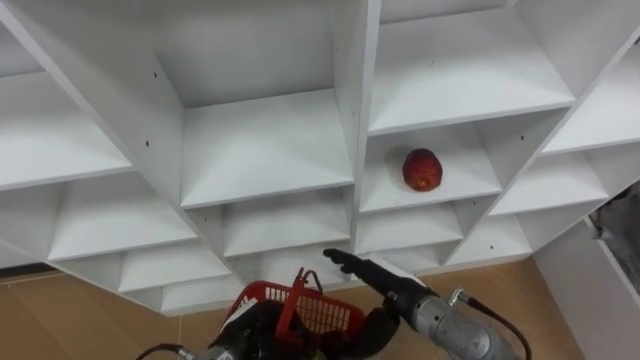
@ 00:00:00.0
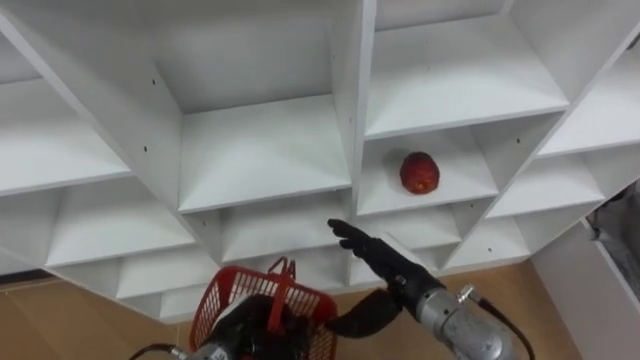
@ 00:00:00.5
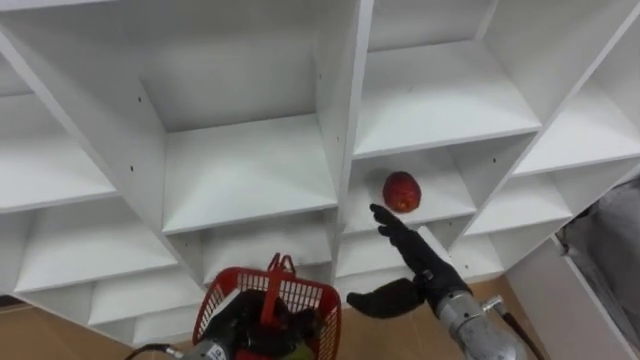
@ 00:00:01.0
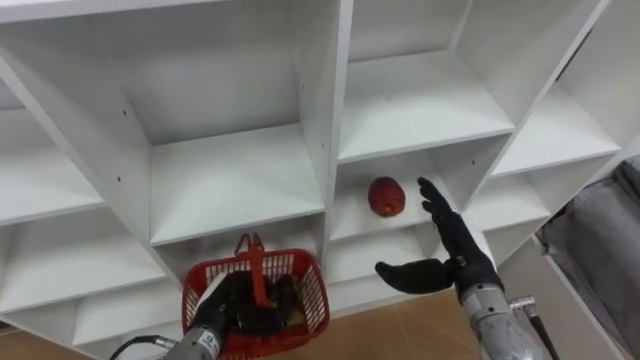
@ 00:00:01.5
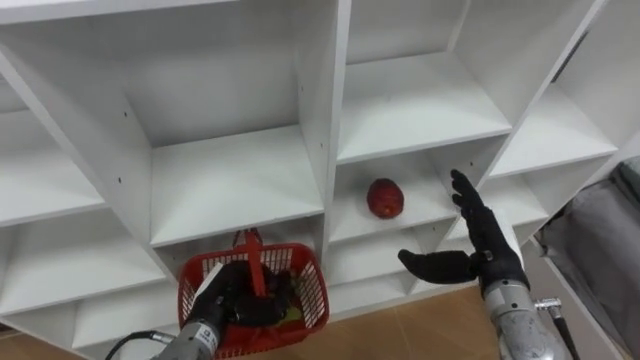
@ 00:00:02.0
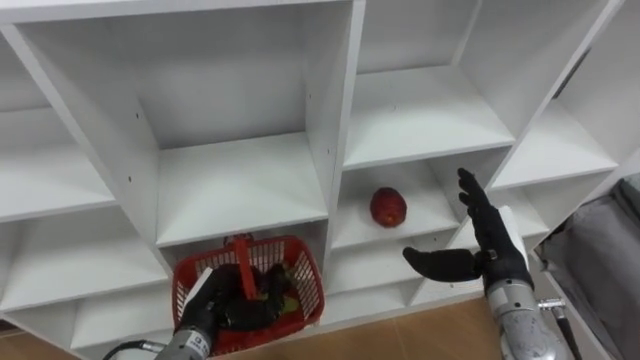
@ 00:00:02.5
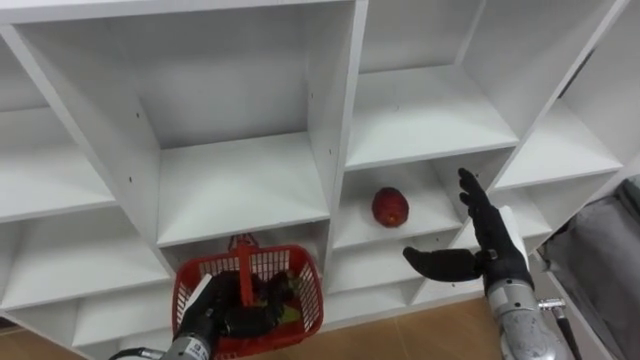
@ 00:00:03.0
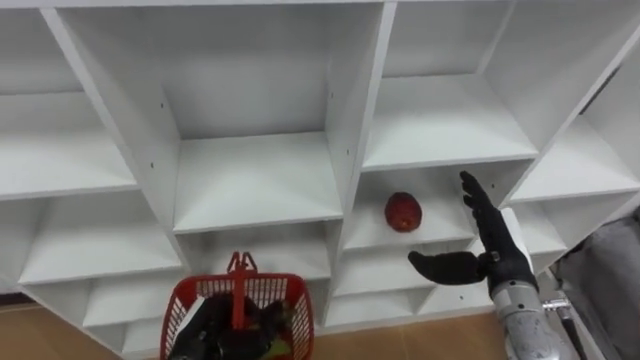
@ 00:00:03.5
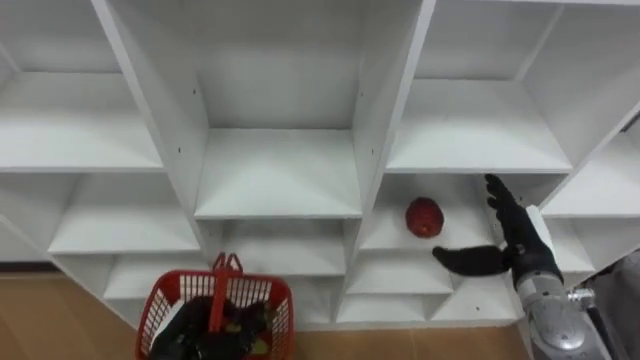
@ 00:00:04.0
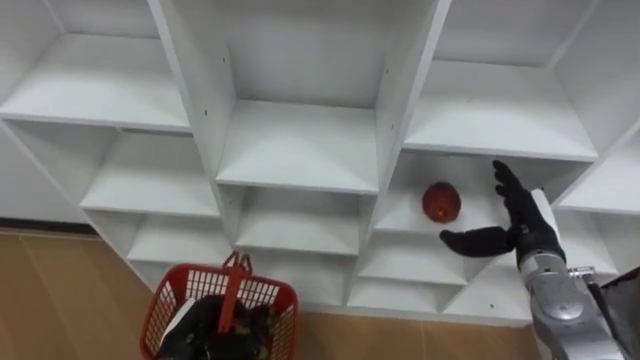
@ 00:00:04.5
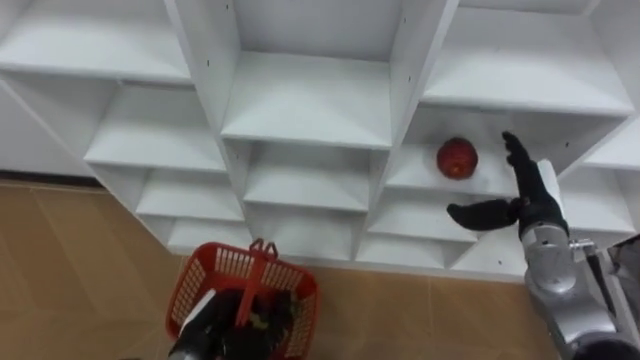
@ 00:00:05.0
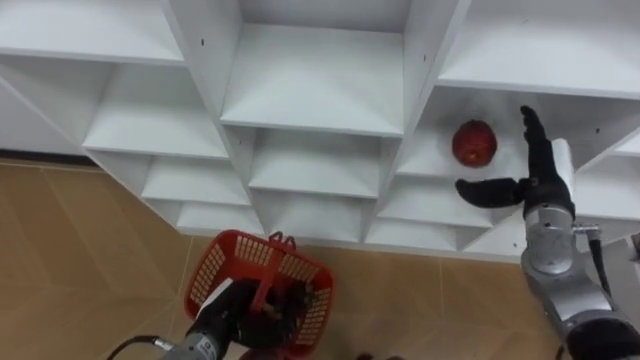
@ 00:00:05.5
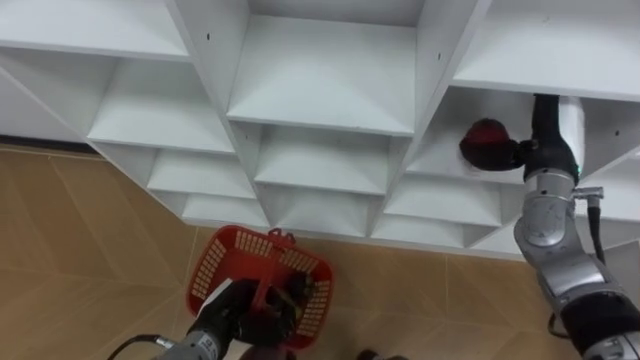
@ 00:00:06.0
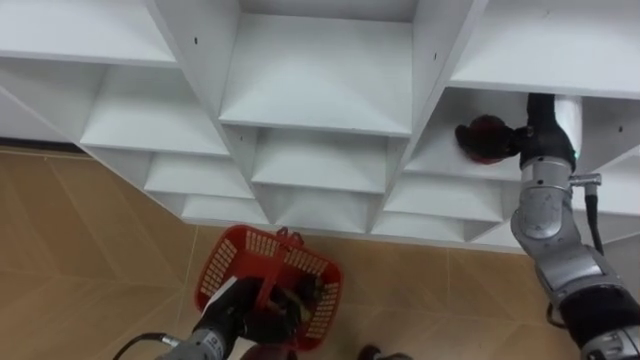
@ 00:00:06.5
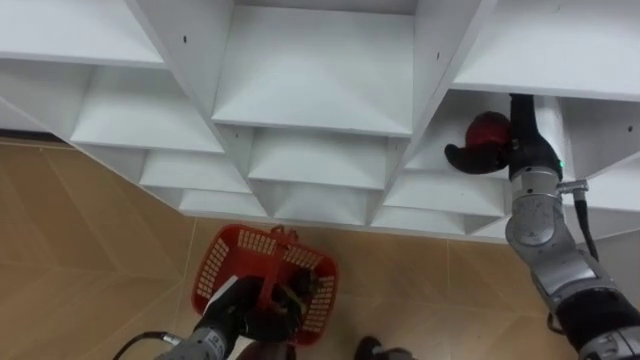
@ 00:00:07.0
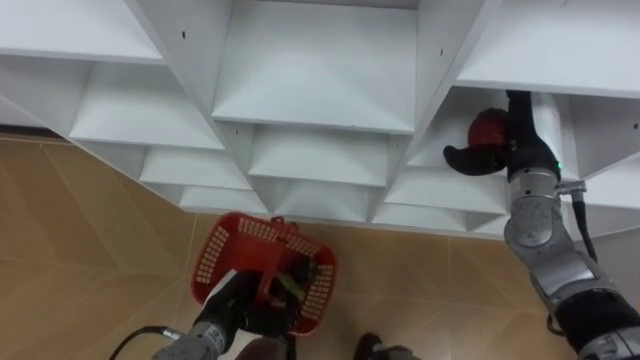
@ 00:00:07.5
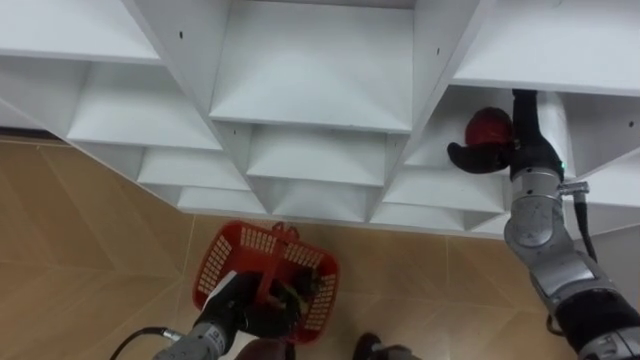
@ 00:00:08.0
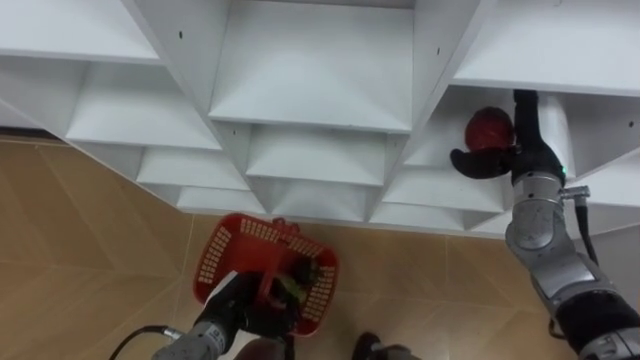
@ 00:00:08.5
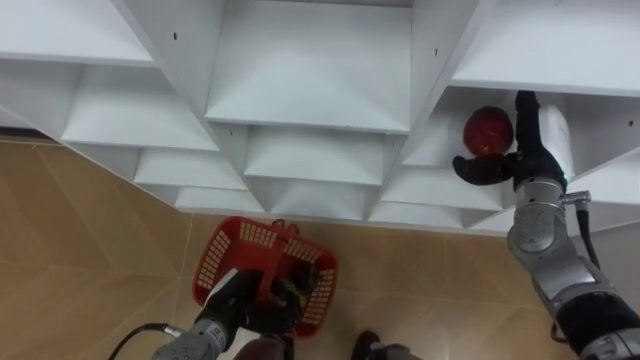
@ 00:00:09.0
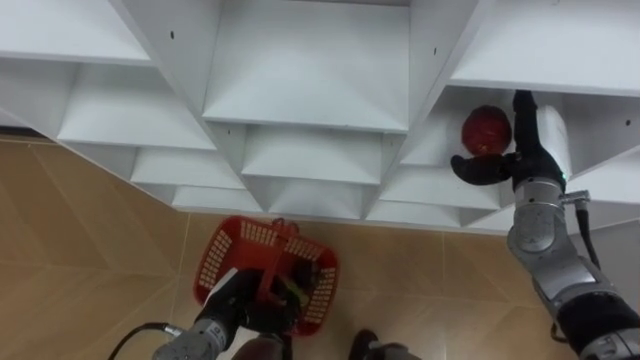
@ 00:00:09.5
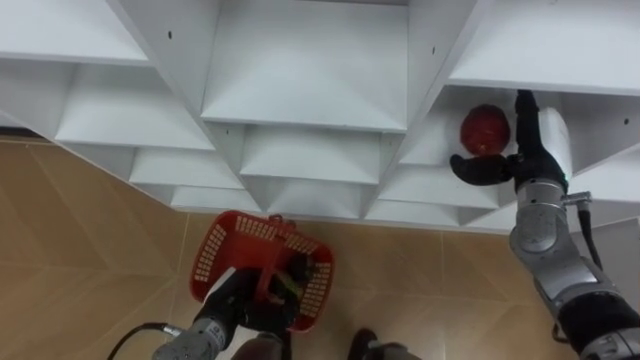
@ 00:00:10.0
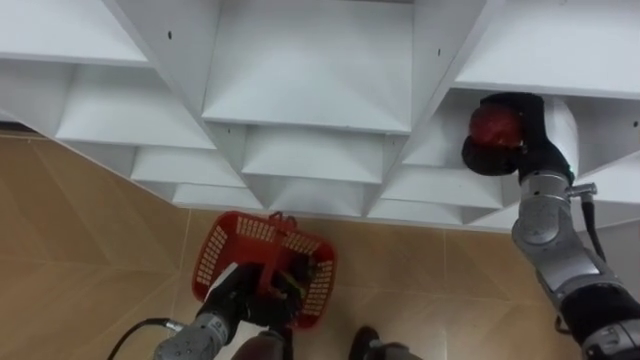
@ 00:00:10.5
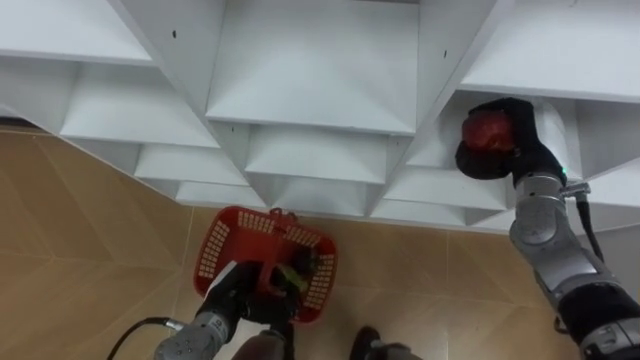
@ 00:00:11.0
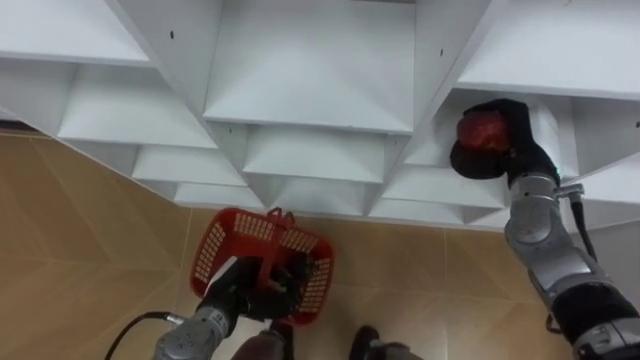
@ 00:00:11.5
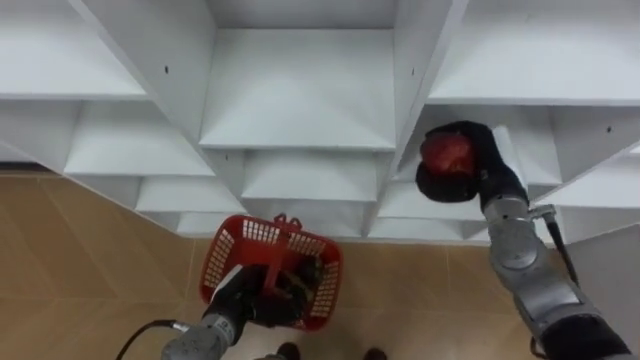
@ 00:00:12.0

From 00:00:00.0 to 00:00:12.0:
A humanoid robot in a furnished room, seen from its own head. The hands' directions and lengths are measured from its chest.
Task of the whole recording: Hold the basket and collect the fruits from 3 different cells of the closet into it.
From 00:00:00.0 to 00:00:02.0: The right hand heads to the right and upward, covering approximately 15 cm, while the left hand moves about 5 cm.
From 00:00:02.0 to 00:00:04.0: The left hand is displaced backward by approximately 5 cm.
From 00:00:04.0 to 00:00:06.0: The left hand is displaced to the right by roughly 5 cm; the right hand is displaced upward and forward by about 15 cm.
From 00:00:08.0 to 00:00:10.0: The hands make only small movements.
From 00:00:10.0 to 00:00:12.0: The right hand changes place by roughly 5 cm, and closes up.

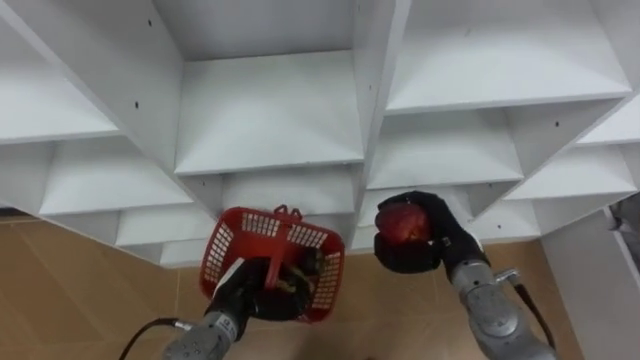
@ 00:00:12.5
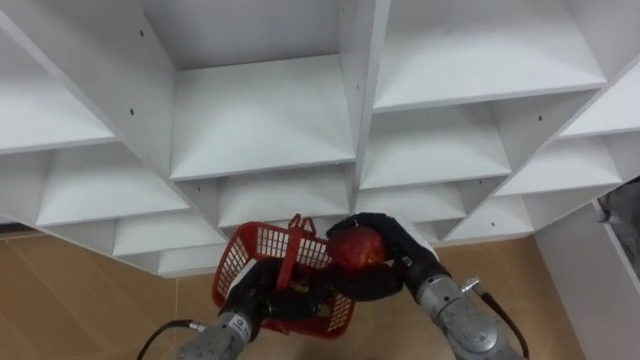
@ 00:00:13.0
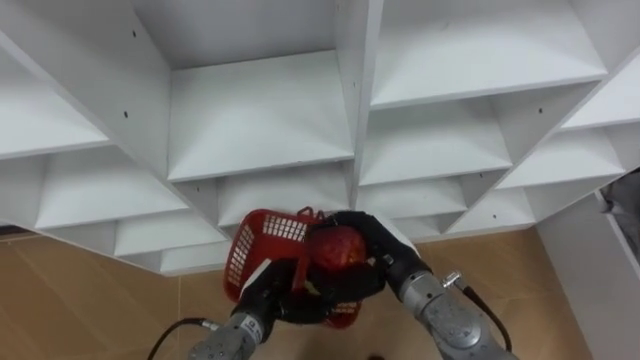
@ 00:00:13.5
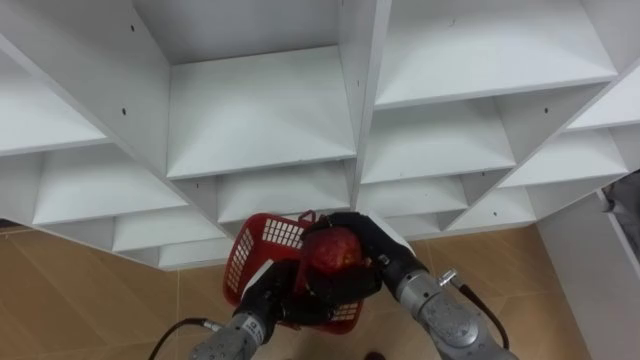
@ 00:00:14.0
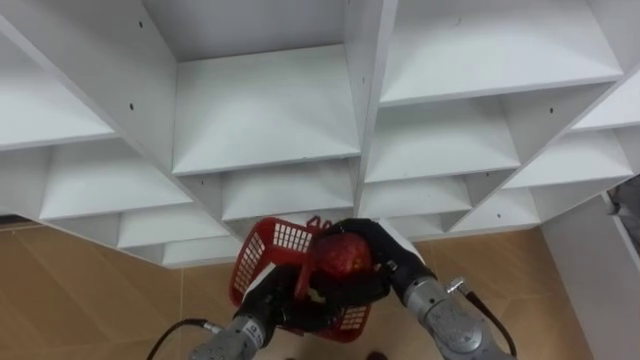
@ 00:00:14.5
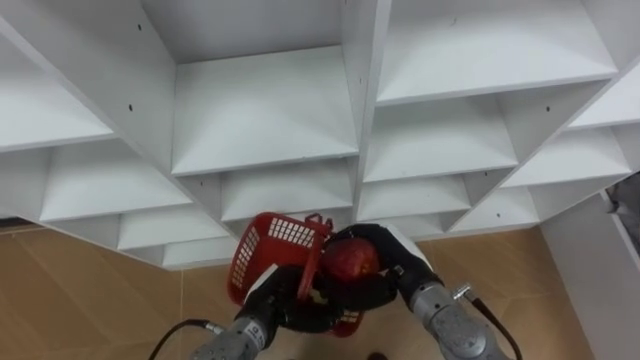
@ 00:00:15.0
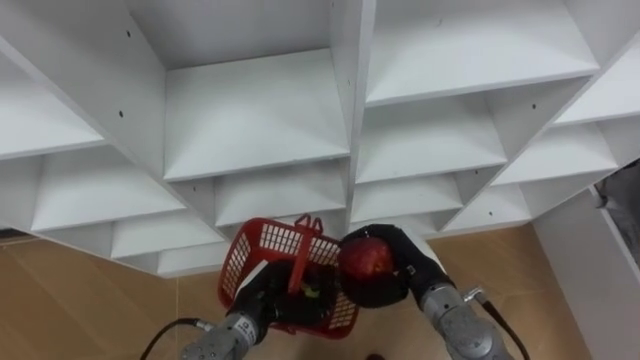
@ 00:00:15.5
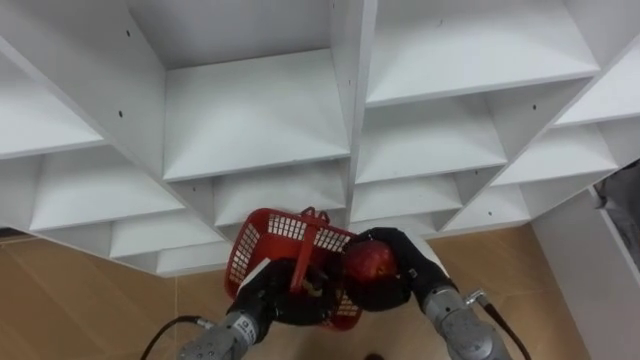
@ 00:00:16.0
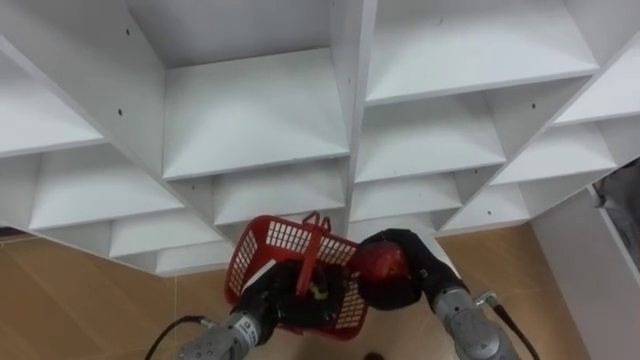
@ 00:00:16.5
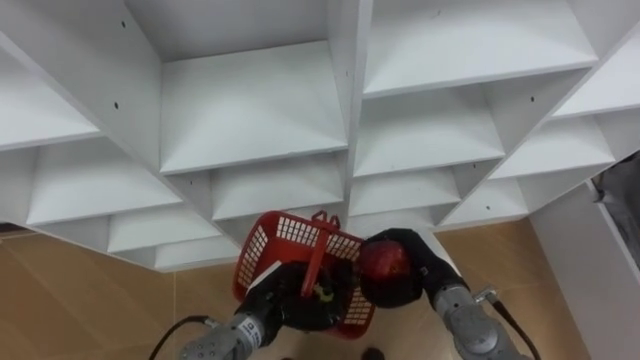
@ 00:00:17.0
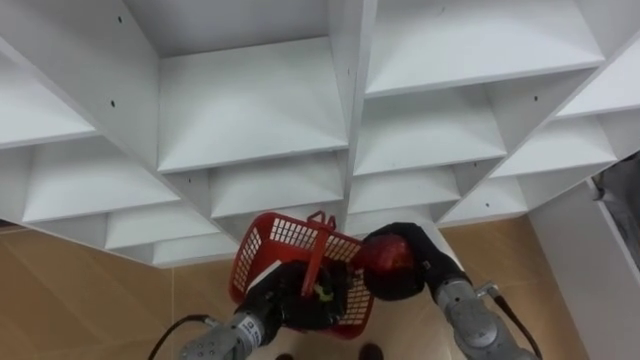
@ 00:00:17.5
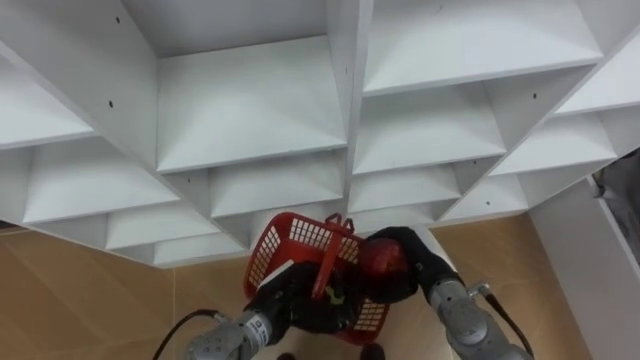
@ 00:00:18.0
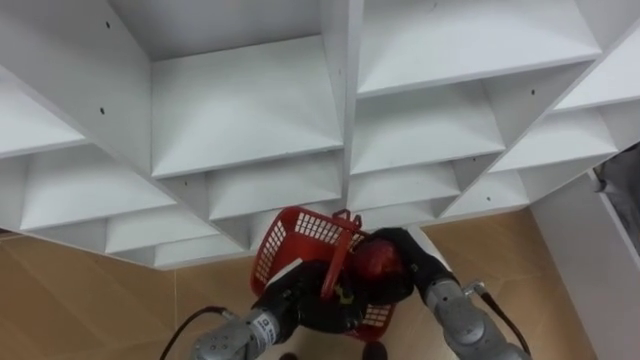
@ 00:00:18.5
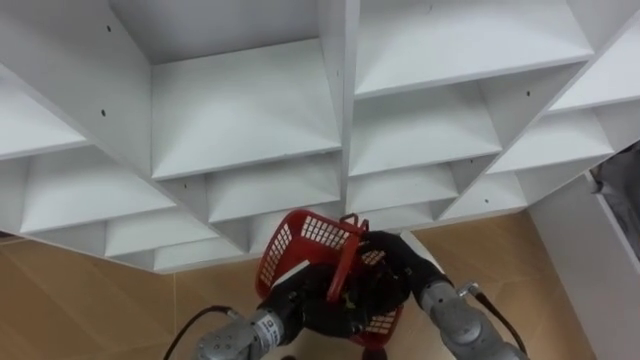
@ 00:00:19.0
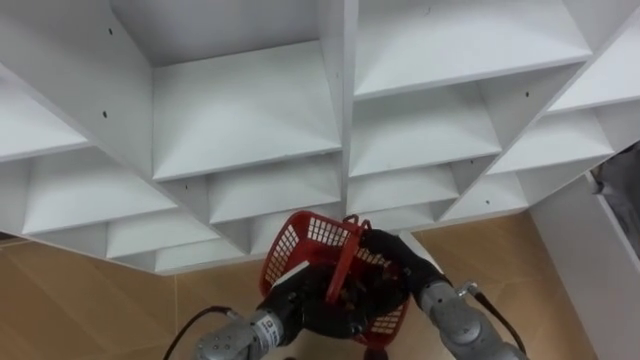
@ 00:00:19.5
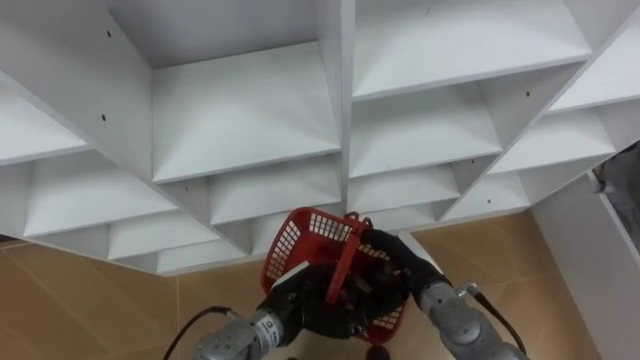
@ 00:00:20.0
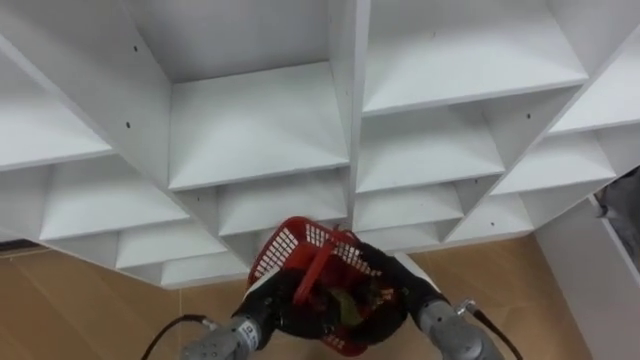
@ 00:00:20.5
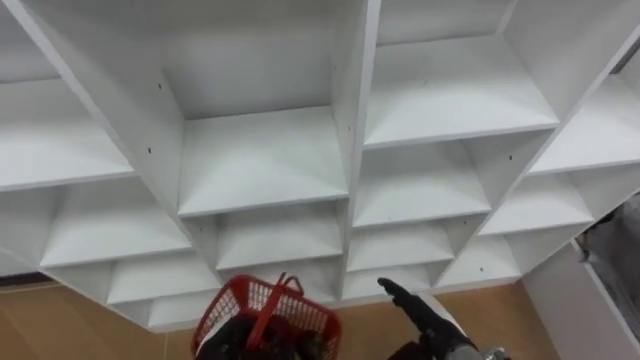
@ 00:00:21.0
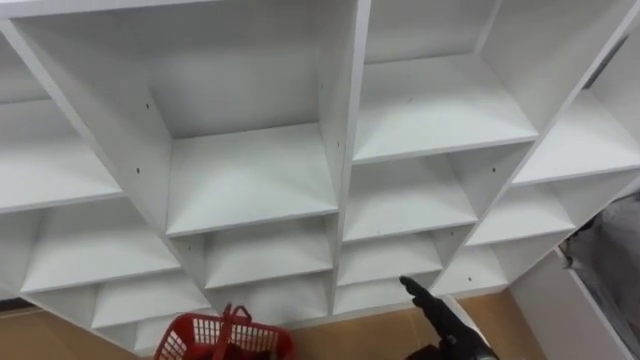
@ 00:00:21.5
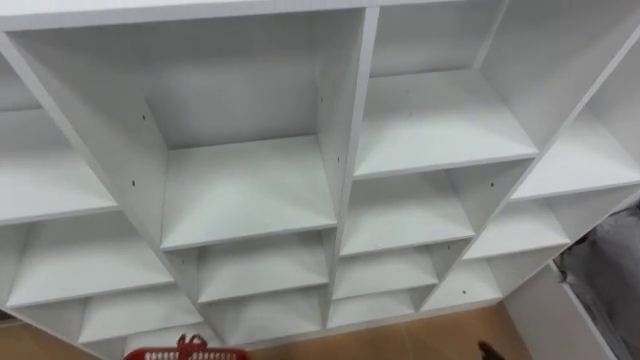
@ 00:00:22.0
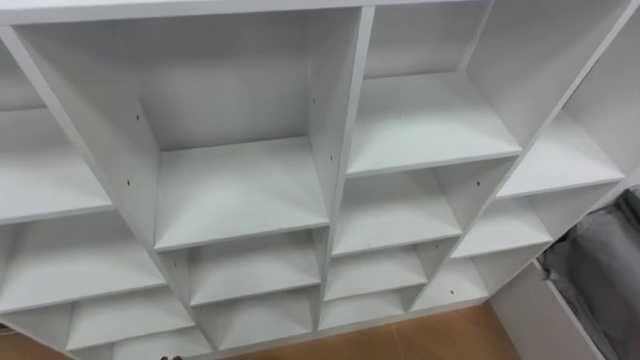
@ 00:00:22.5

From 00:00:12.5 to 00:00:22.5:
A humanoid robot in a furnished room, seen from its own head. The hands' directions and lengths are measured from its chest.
Task of the whole recording: Hold the basket and collect the fruits from 3 different cells of the closet into it.
From 00:00:12.5 to 00:00:14.5: The right hand goes roughly 10 cm to the left.
From 00:00:14.5 to 00:00:16.5: The right hand heads to the right, covering about 5 cm.
From 00:00:18.5 to 00:00:20.5: The right hand opens up.
